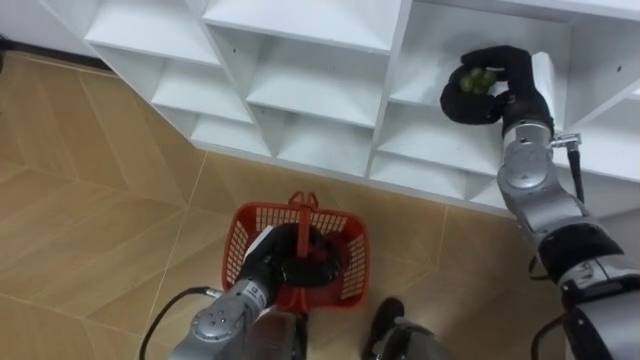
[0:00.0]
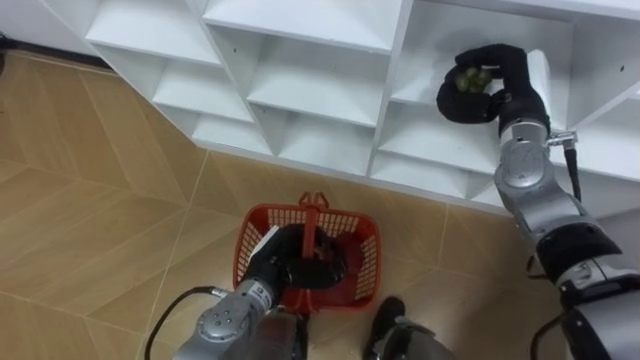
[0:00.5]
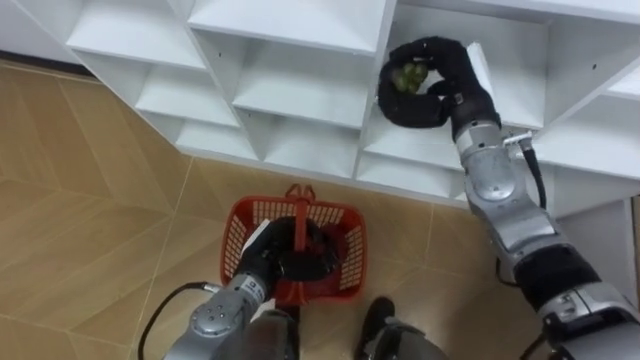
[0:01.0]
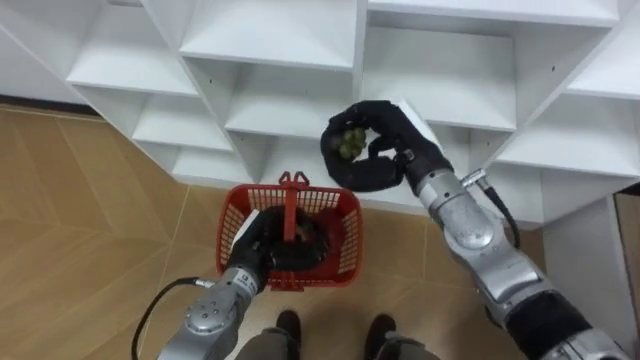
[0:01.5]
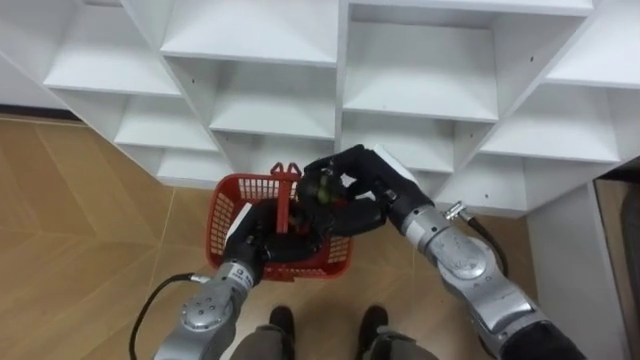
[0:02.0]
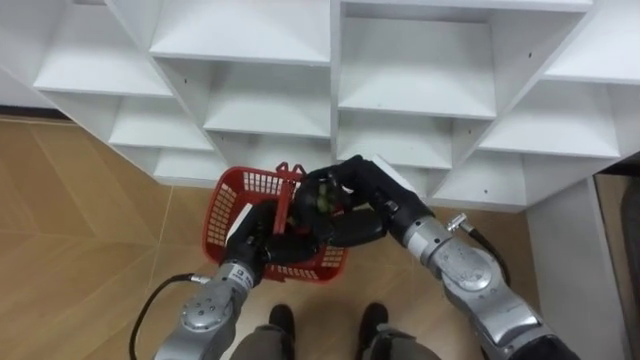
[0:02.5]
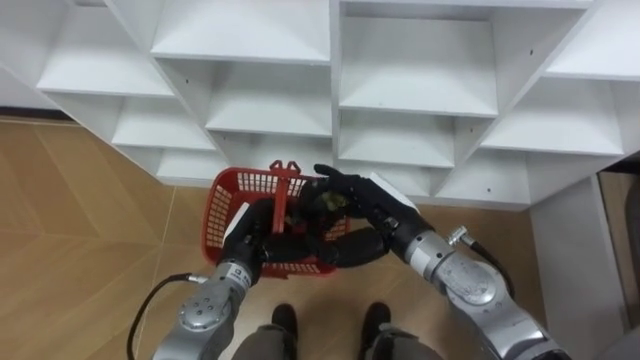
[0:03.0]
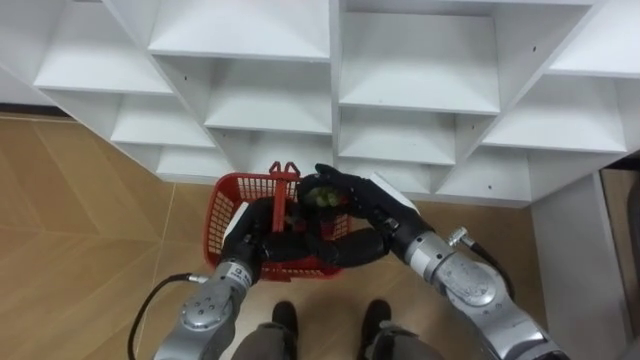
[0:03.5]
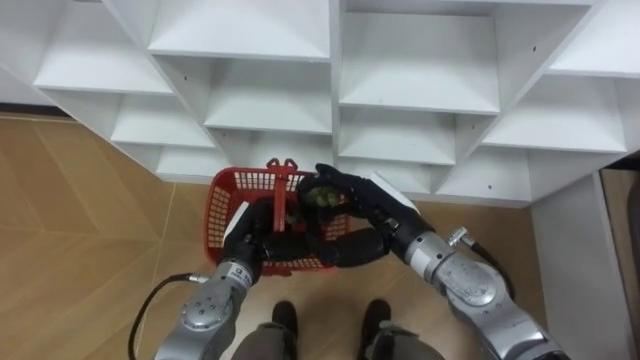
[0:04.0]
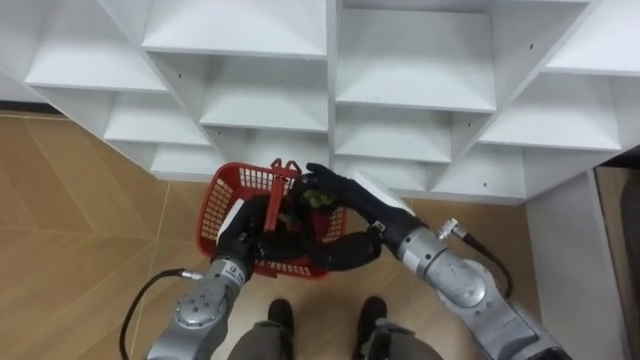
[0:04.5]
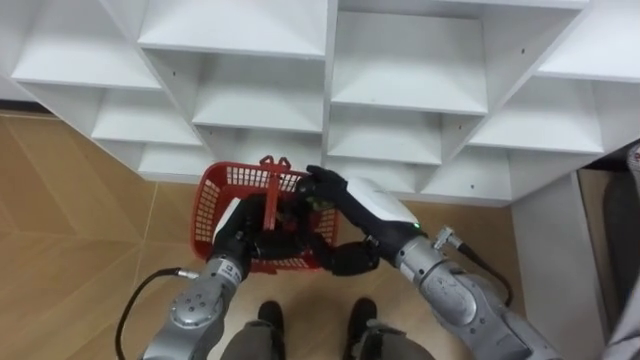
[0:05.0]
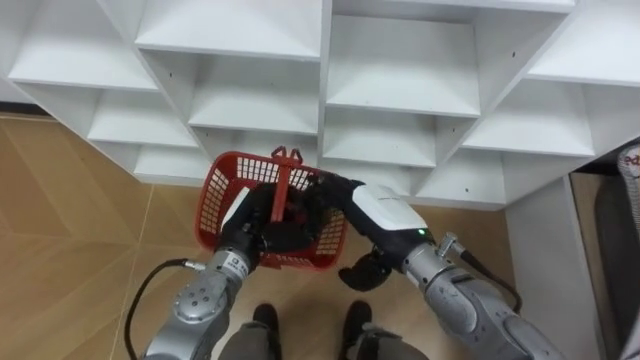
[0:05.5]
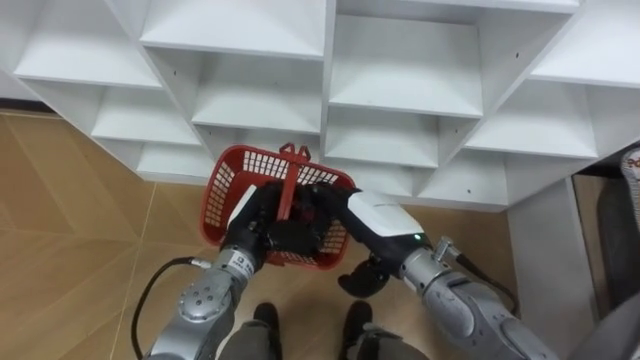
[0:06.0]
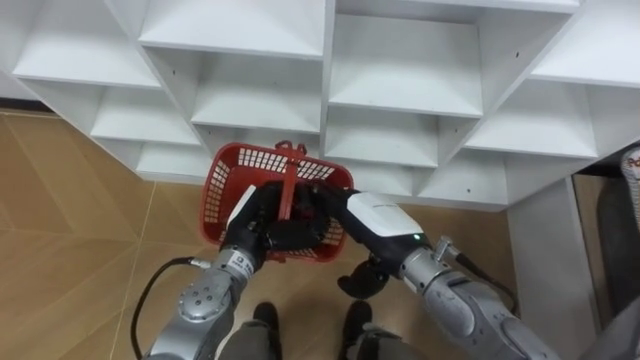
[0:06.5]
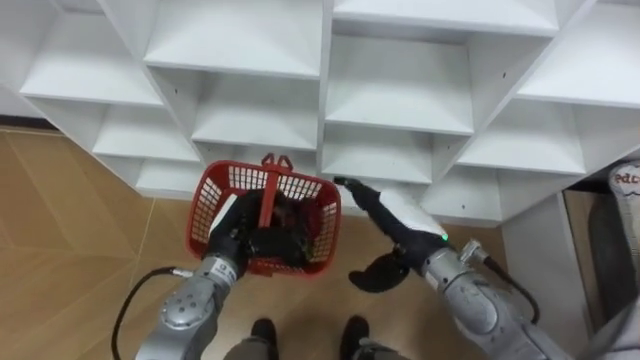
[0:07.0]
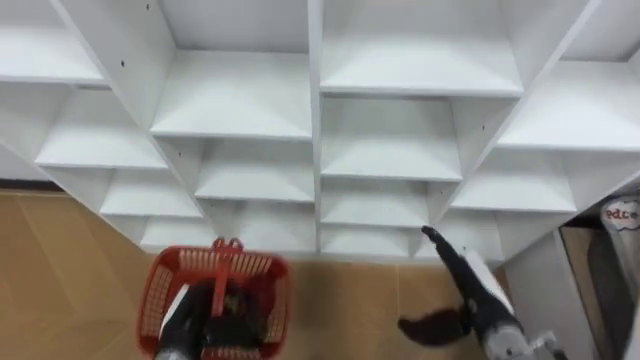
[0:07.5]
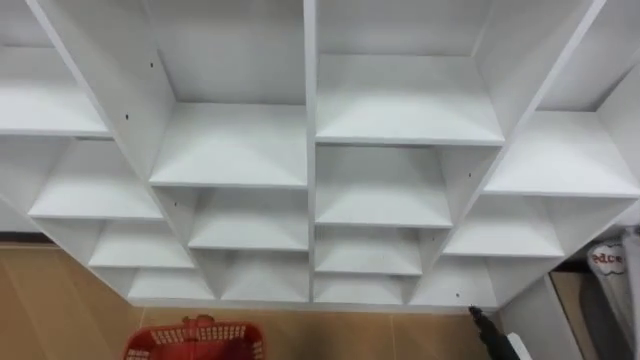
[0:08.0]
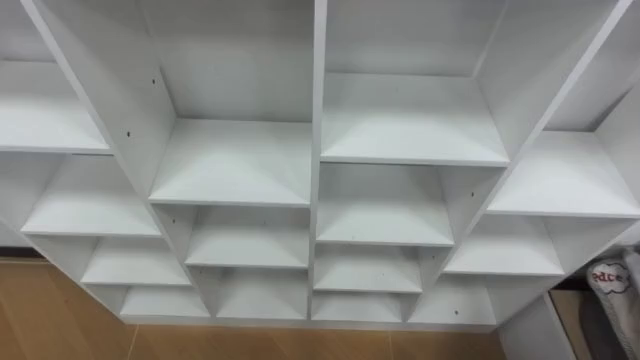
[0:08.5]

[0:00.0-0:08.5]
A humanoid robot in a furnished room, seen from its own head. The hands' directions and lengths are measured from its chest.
Task of the whole recording: Hold the basket and collect the fruits from 3 different cells of the closet into it.
0:00.0 to 0:02.0: The right hand goes roughly 20 cm to the left and backward.
0:02.0 to 0:04.0: The right hand opens.

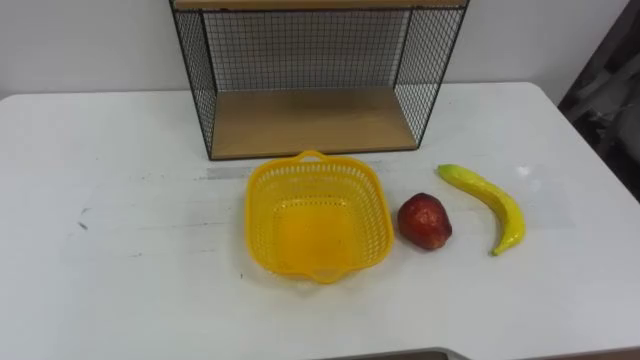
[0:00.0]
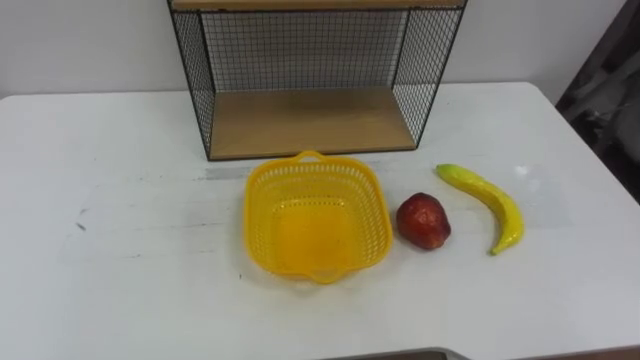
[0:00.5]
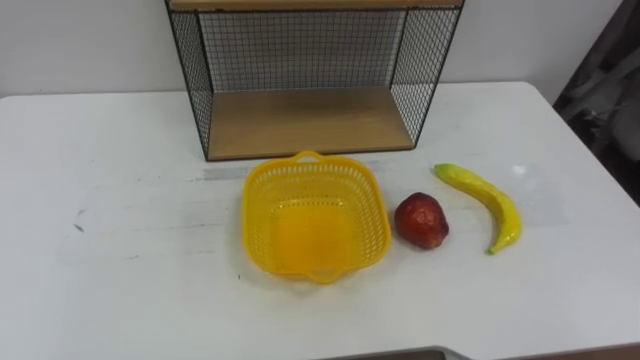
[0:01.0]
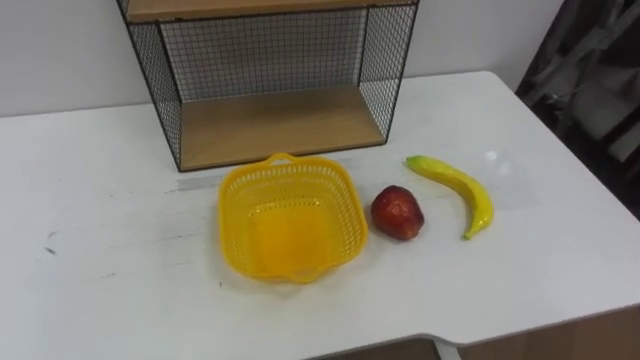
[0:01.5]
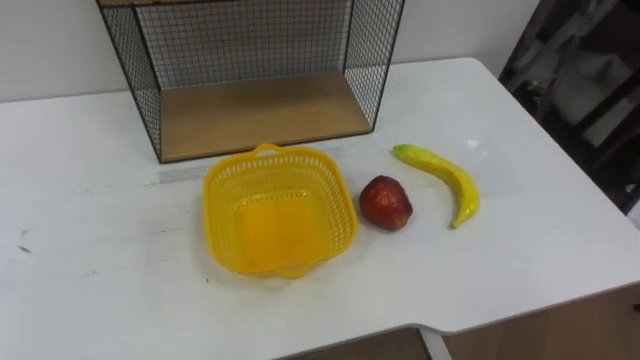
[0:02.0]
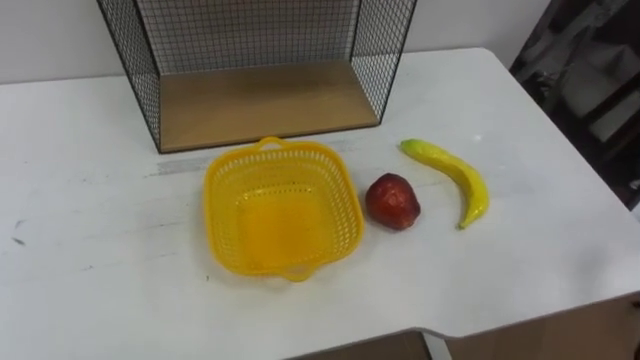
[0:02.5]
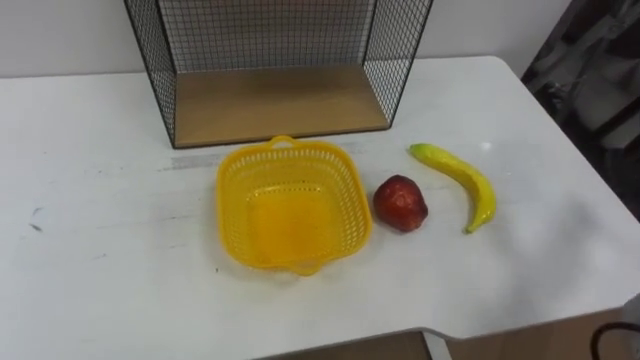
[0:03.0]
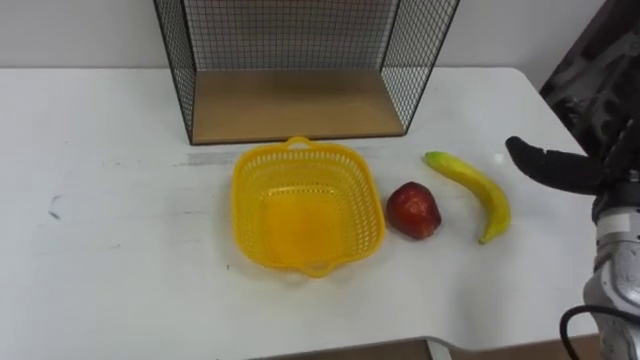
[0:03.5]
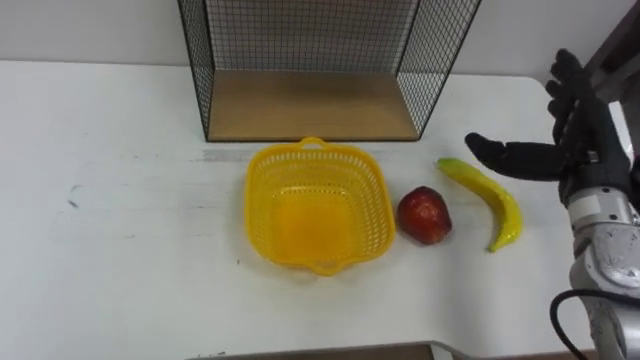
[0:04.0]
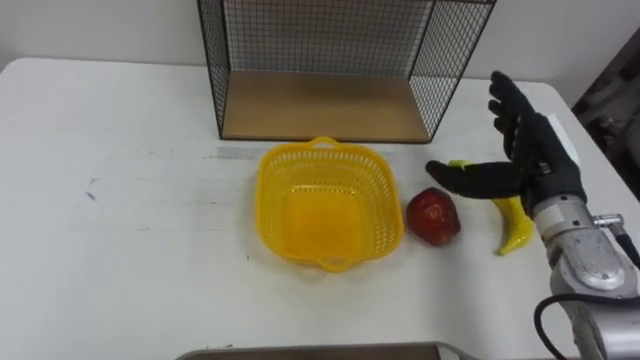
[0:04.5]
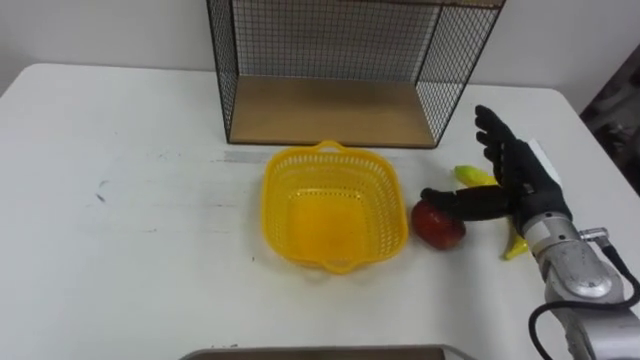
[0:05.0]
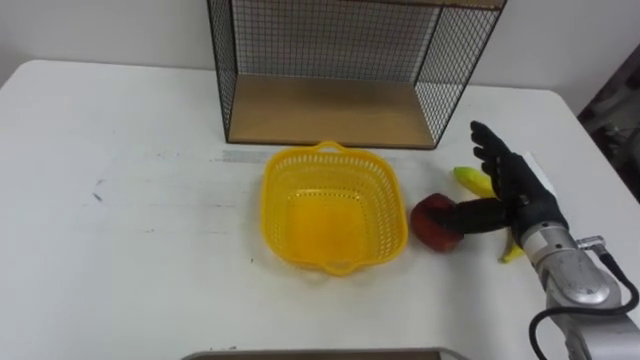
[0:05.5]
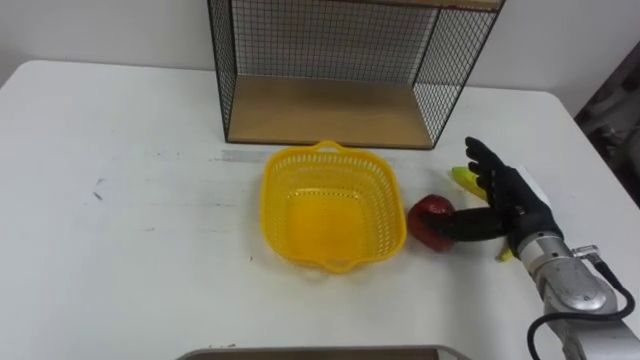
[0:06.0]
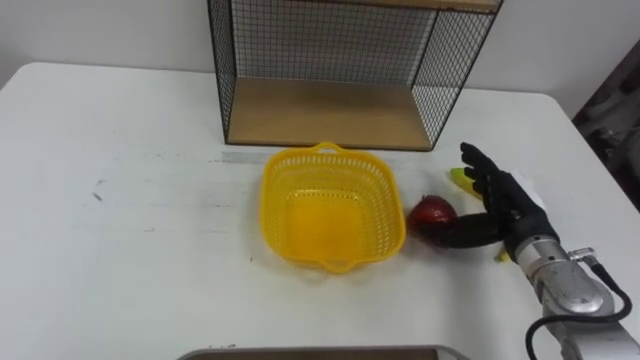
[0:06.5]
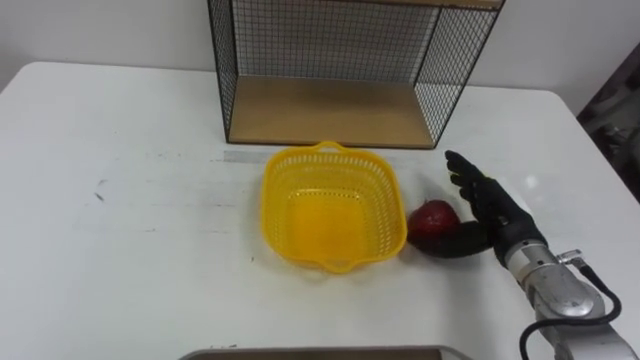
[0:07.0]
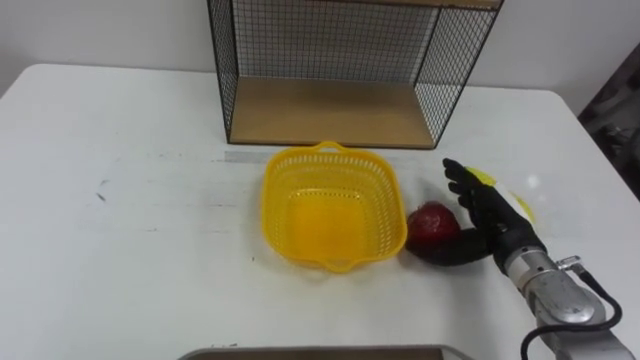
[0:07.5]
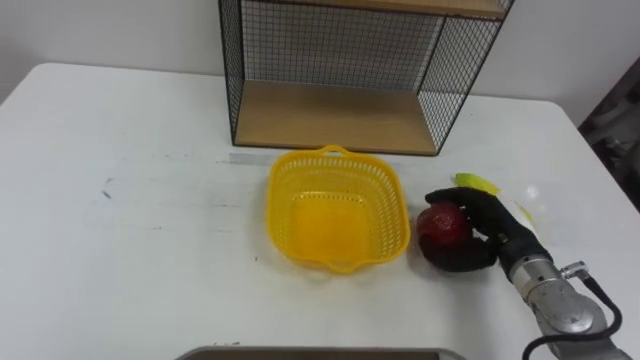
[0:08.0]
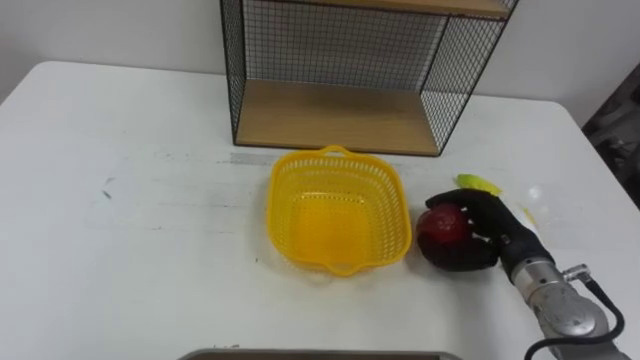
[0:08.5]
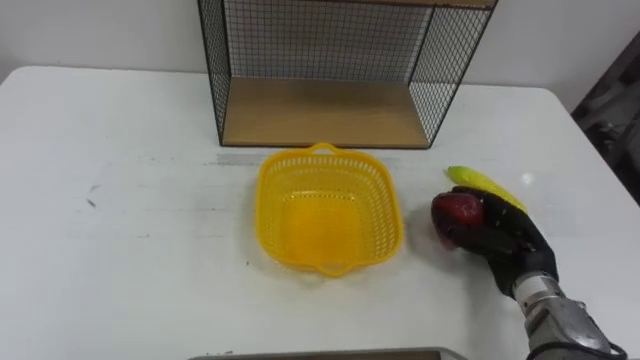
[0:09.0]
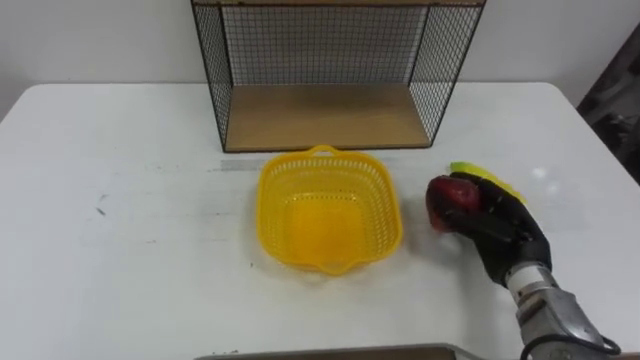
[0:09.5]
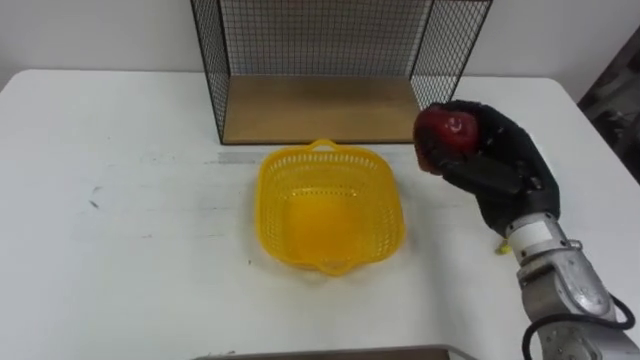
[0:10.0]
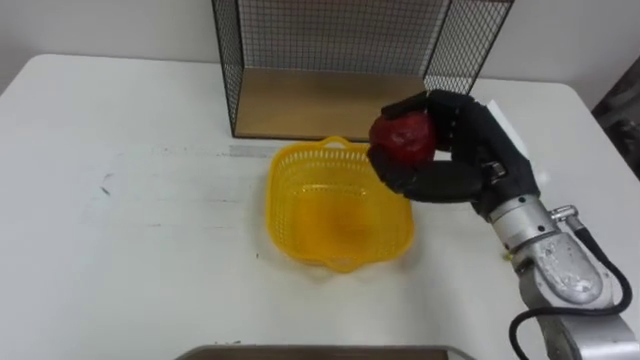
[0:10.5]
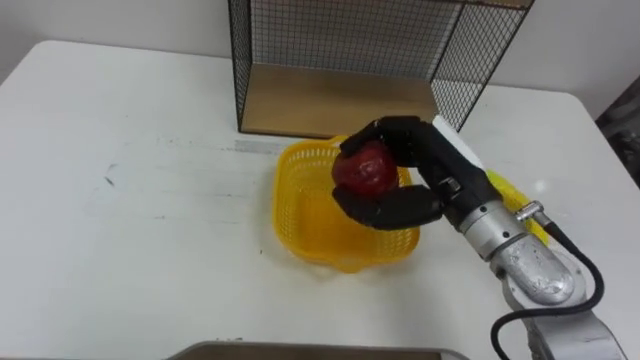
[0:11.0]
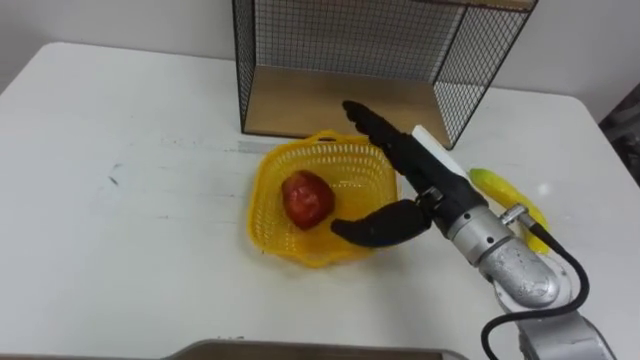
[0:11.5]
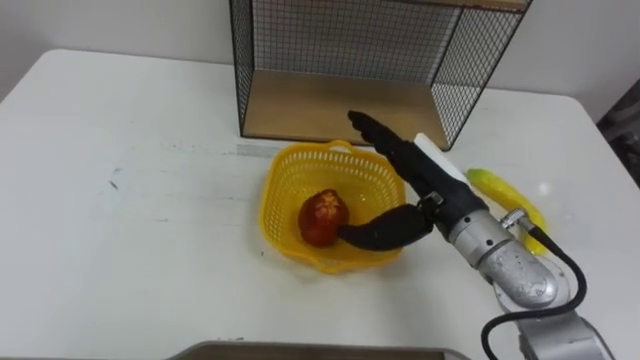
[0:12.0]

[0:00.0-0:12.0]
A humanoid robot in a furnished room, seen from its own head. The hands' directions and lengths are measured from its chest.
Task of the whole recording: Put the fruit on the table into the basket, then place the basket on the shelf.
0:04.0 to 0:06.0: The right hand travels downward by some 10 cm.
0:06.0 to 0:08.0: The right hand closes.
0:08.0 to 0:10.0: The right hand is displaced upward by about 10 cm.
0:10.0 to 0:12.0: The right hand is displaced to the left by approximately 10 cm, and opens its fingers.
